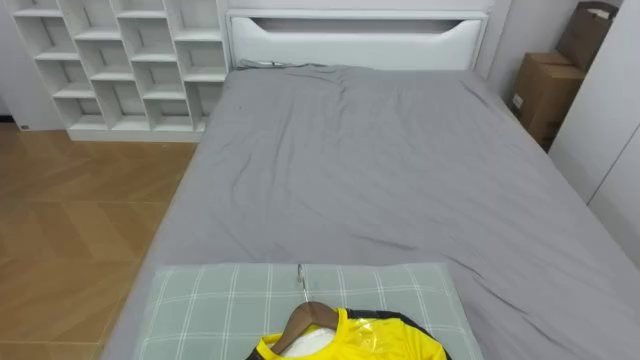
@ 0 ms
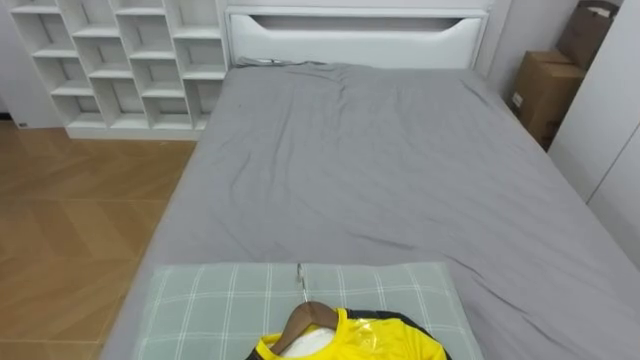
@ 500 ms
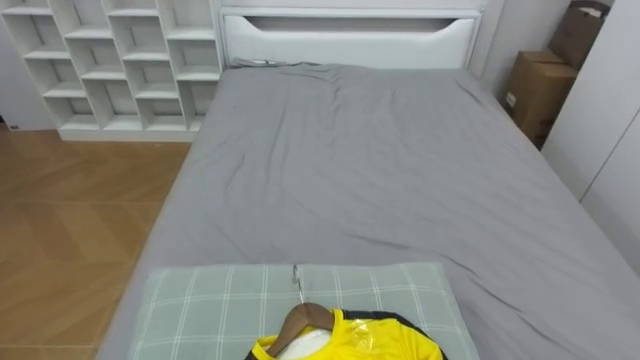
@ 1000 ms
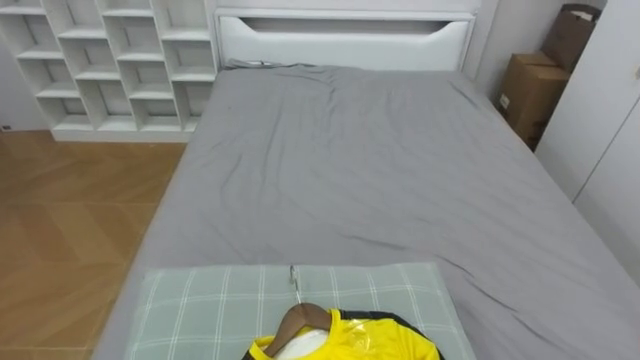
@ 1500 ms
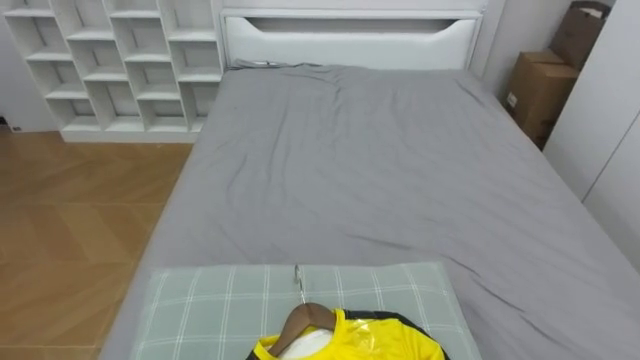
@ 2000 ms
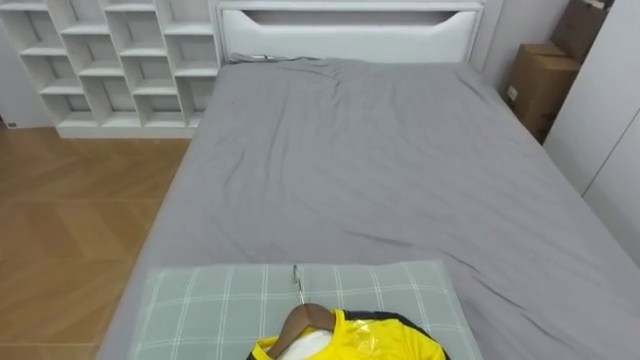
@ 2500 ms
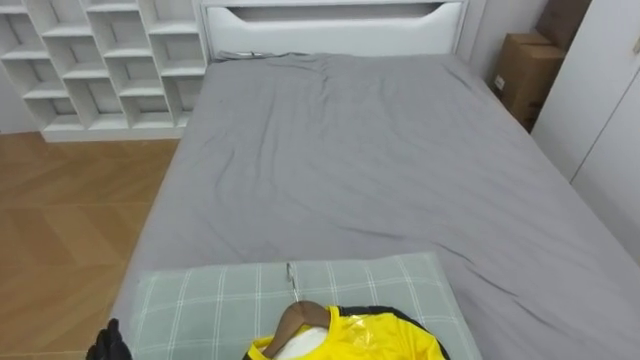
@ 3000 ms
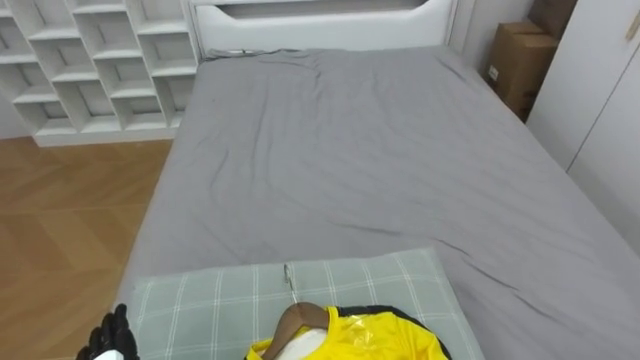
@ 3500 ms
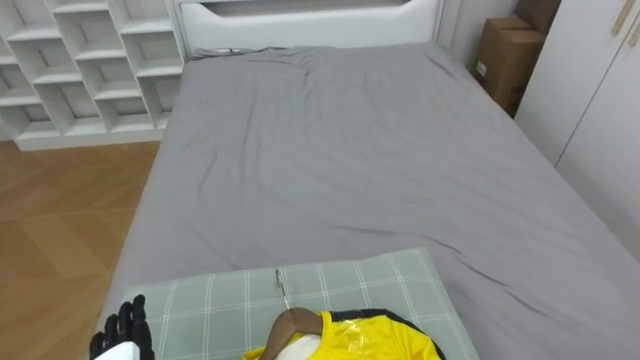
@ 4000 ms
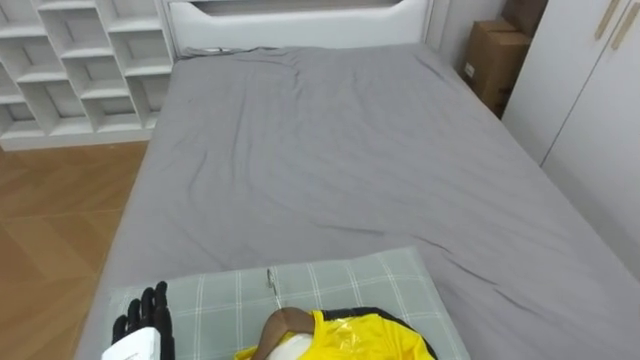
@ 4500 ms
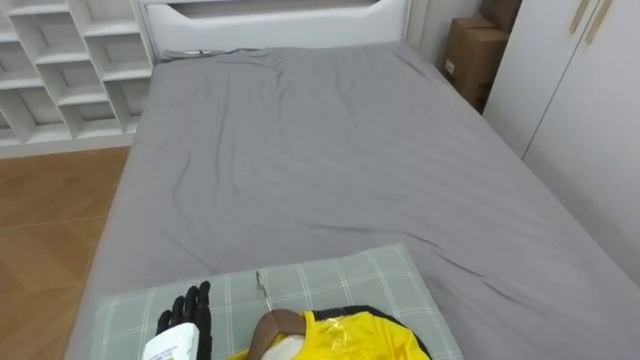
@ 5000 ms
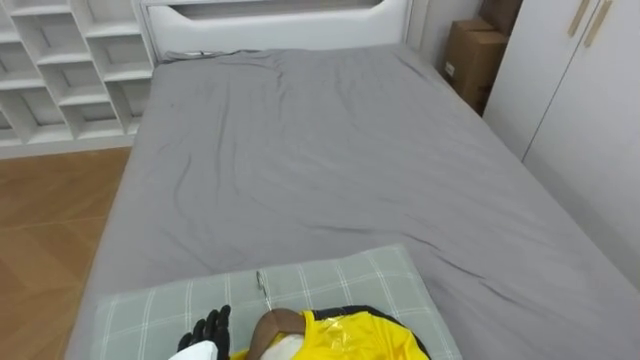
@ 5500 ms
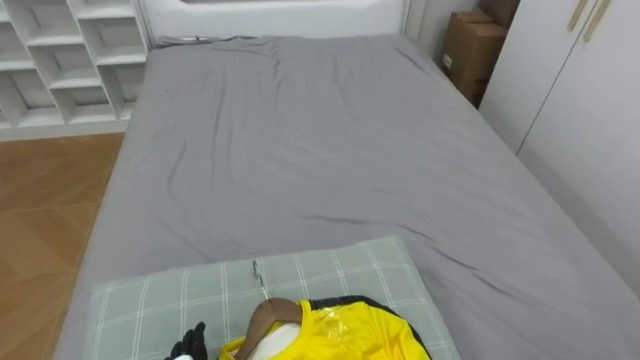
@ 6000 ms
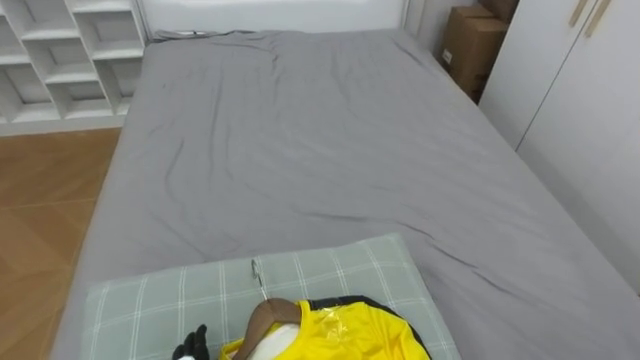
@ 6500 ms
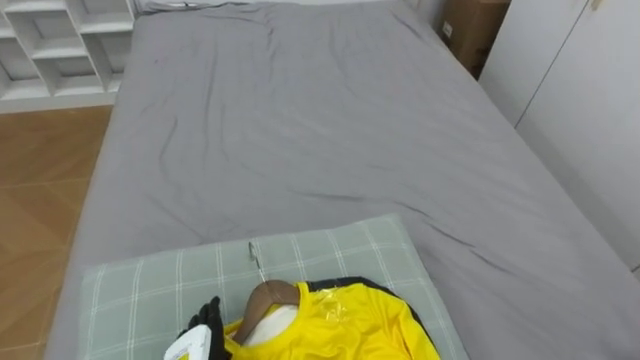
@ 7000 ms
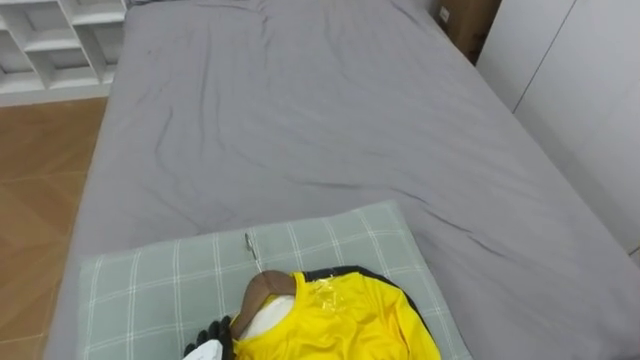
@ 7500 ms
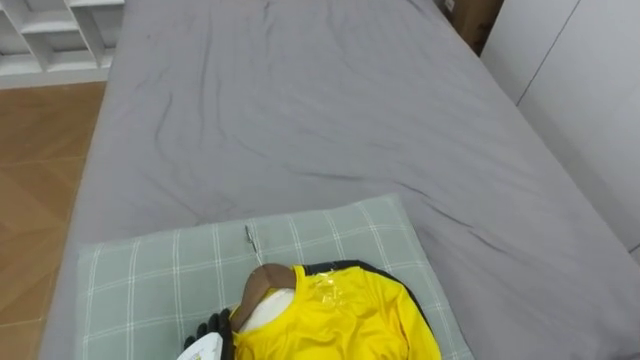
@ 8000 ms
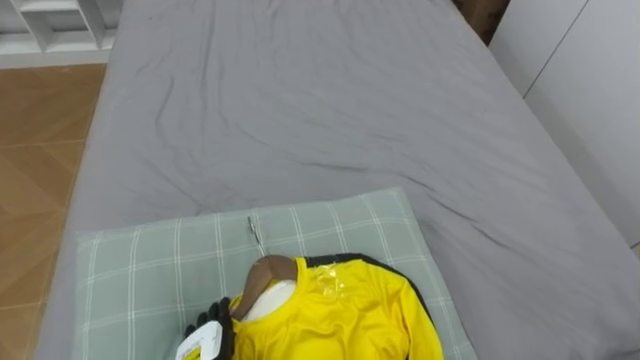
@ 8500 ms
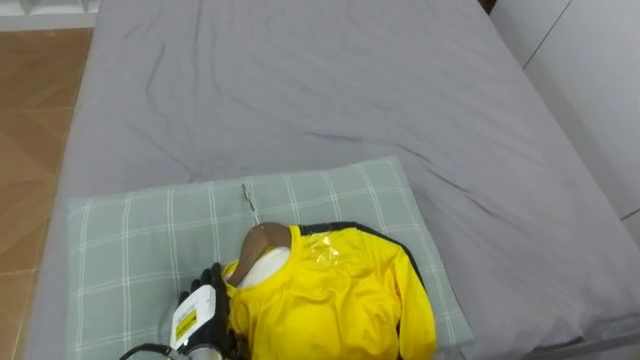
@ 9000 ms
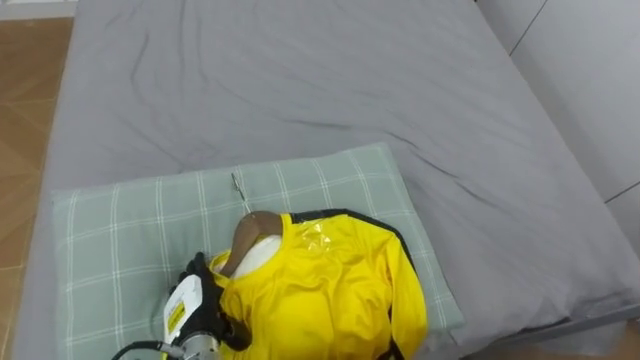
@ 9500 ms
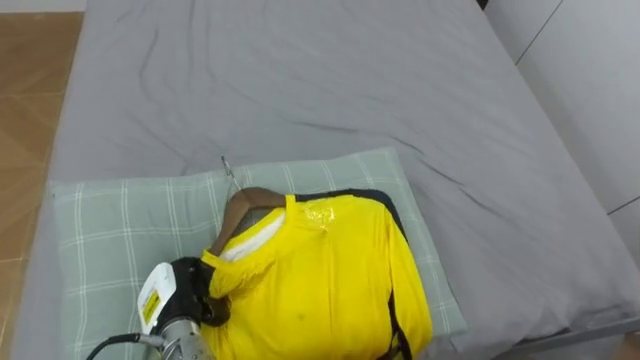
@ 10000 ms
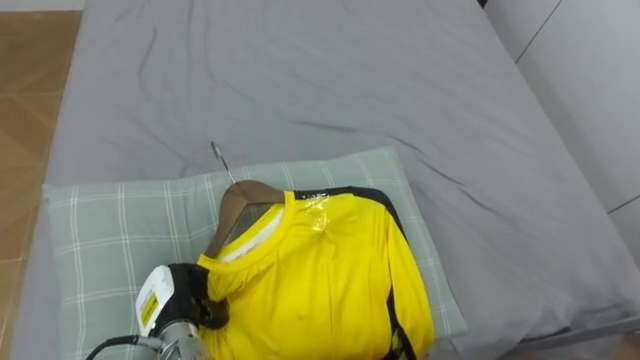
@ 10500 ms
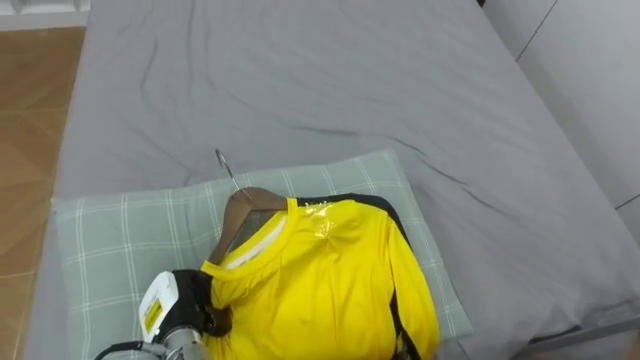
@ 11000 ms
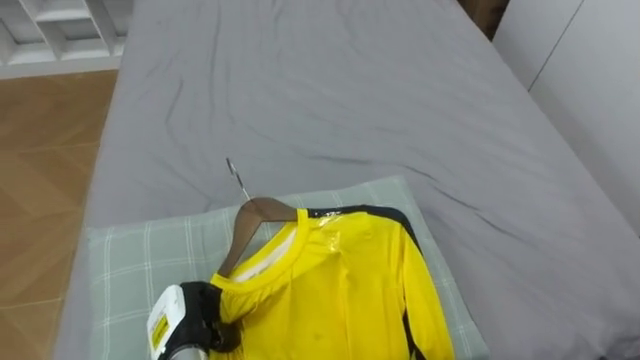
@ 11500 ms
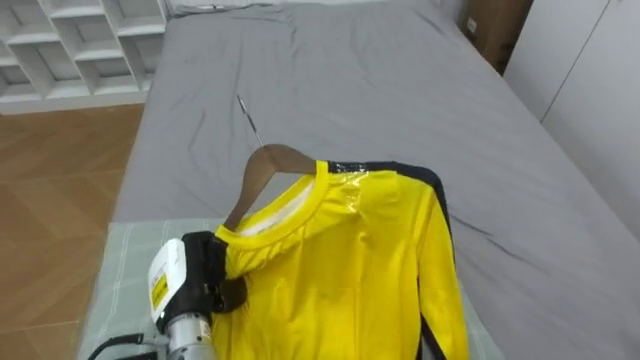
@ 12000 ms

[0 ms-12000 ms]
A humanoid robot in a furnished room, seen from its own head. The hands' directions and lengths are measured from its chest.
Task of the whole recording: Pick up the yellow shirt on the bed and hang it on the clothes rack on the right.
10000 ms to 12000 ms: The left hand heads upward, covering approximately 5 cm.

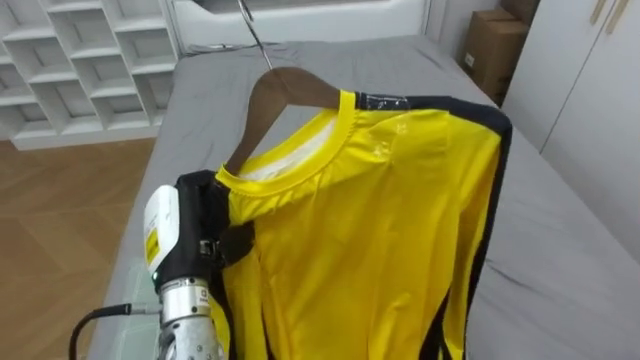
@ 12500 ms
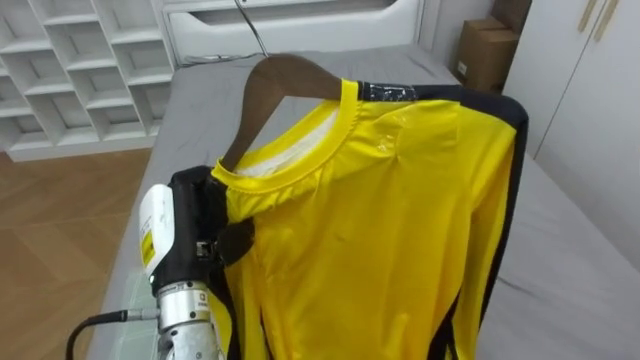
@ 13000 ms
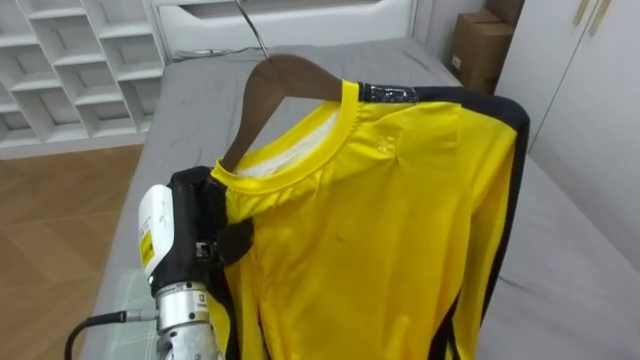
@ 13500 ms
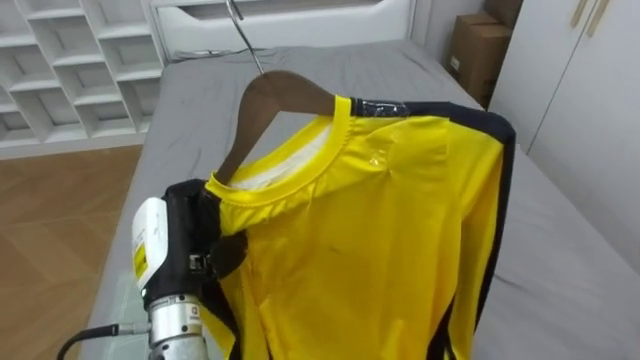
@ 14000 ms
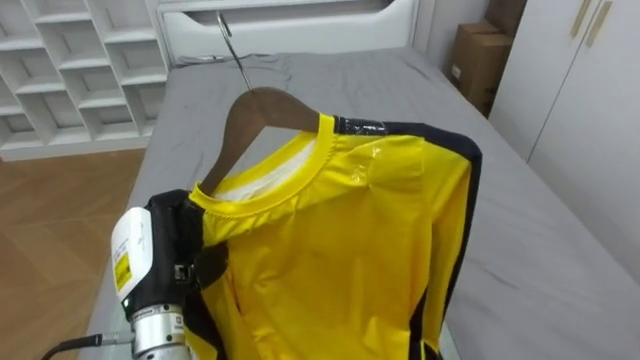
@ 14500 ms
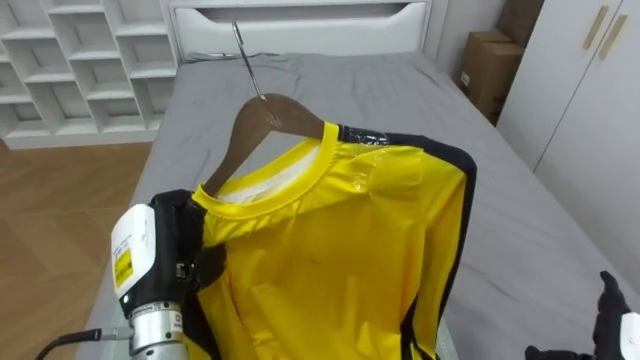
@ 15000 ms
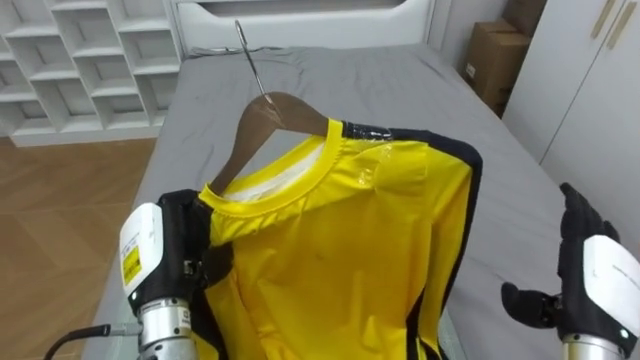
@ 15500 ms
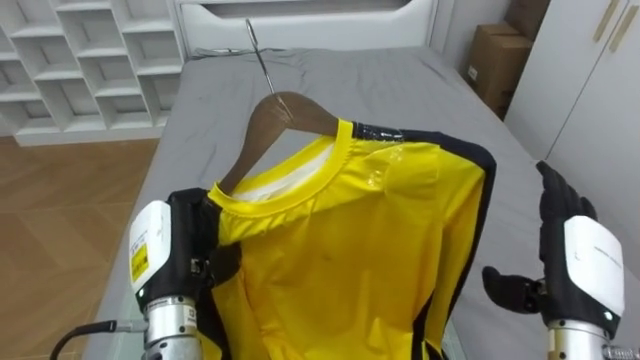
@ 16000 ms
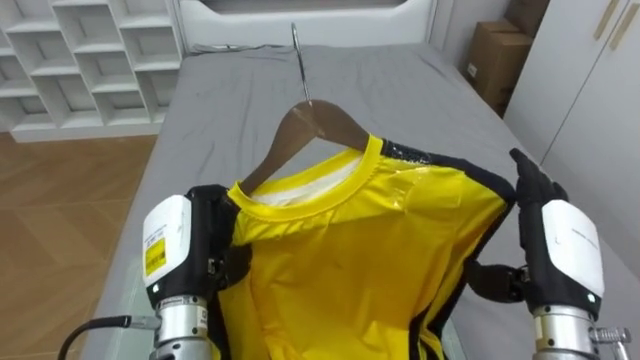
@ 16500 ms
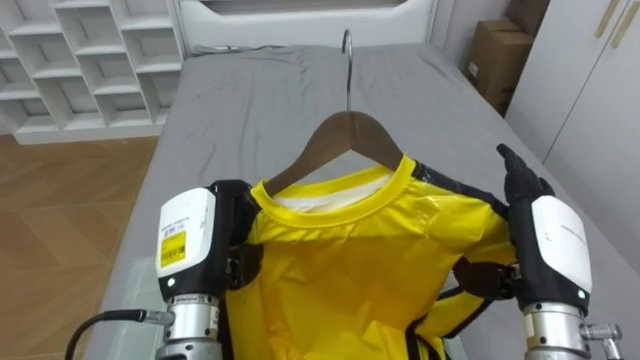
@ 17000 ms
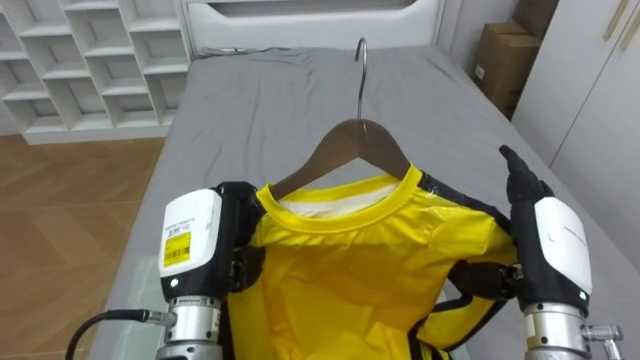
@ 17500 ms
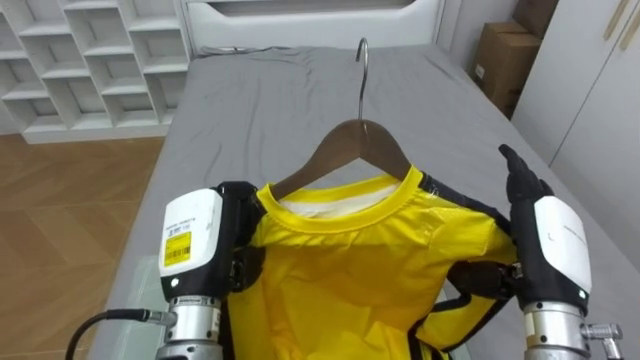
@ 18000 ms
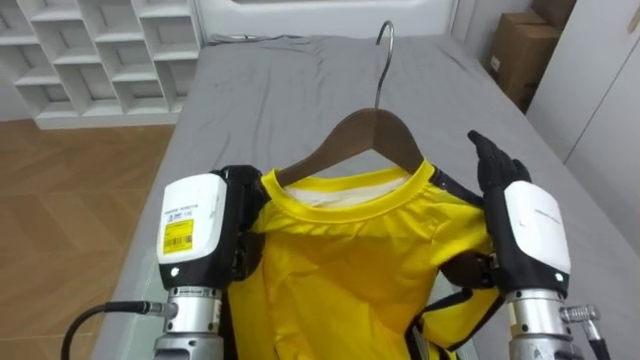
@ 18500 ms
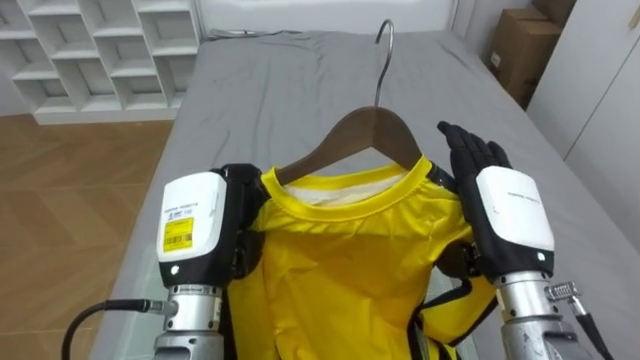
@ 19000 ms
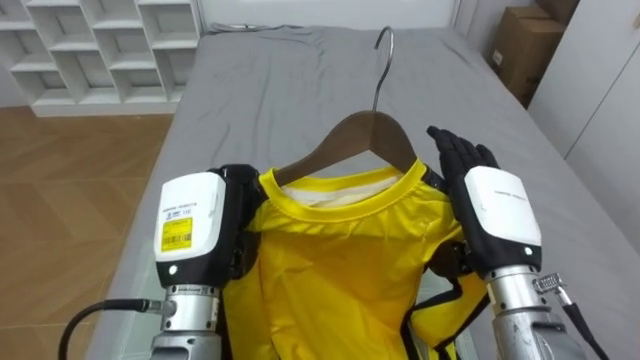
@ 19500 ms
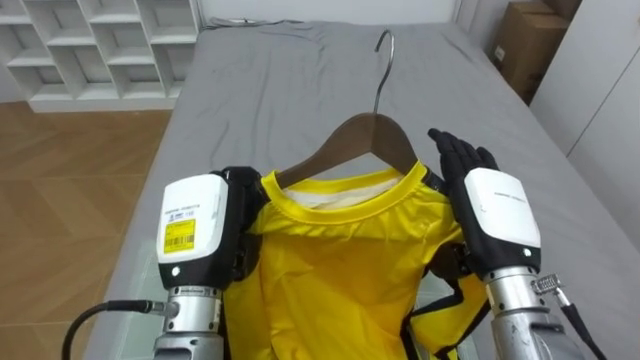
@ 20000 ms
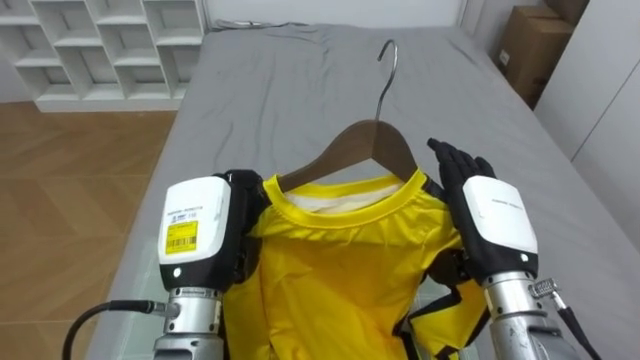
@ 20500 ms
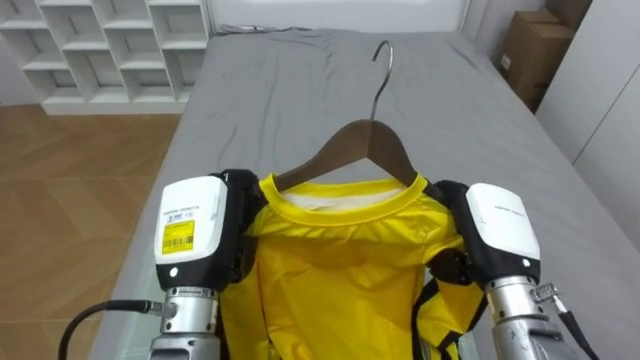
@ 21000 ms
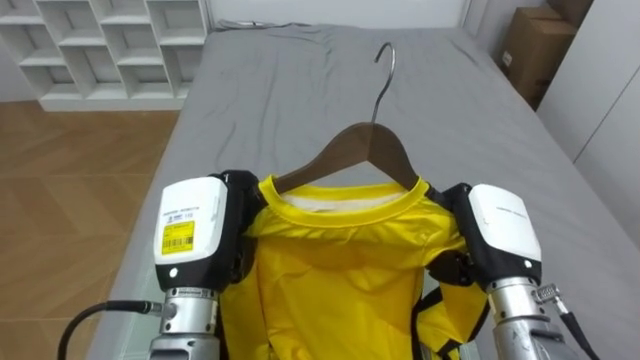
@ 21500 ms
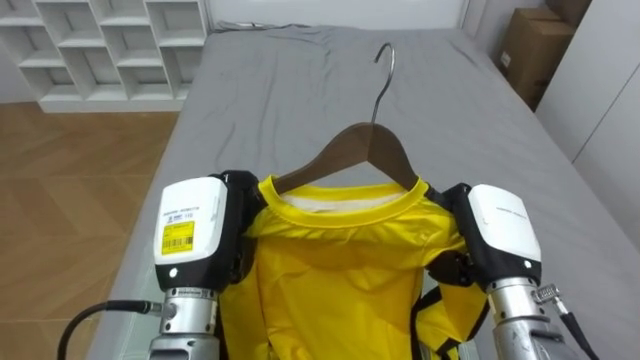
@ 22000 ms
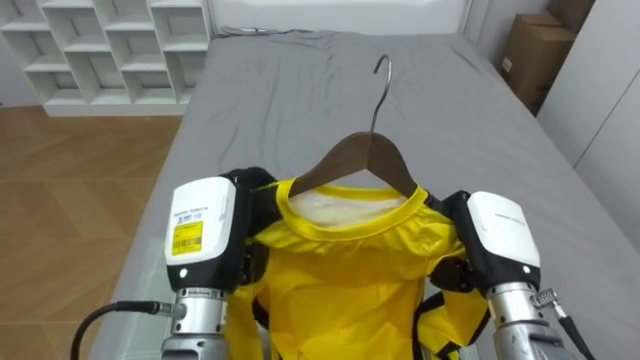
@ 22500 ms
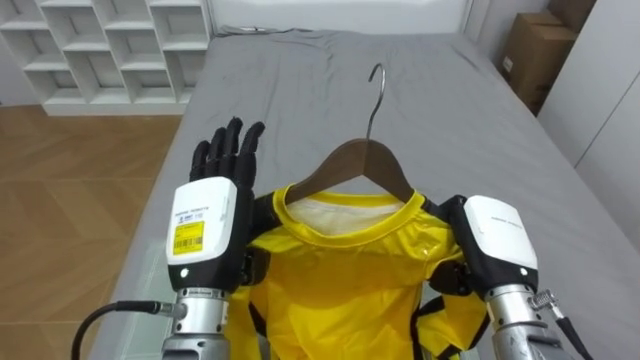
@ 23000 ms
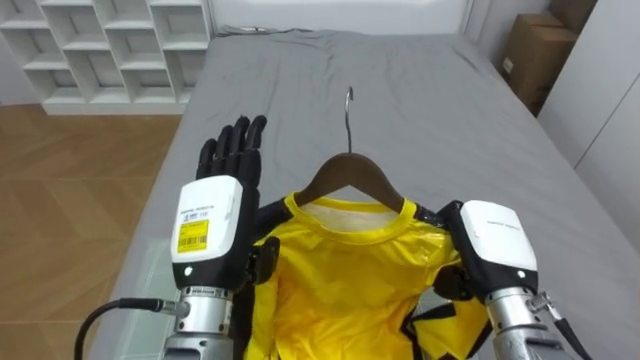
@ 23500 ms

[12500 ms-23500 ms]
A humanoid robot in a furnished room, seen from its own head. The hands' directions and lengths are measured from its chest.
Task of the whole recording: Pick up the yellow shirt on the bed and hang it on the clothes rack on the right.
18000 ms to 20000 ms: The right hand goes roughly 5 cm to the left.
20000 ms to 21500 ms: The right hand closes up.
21500 ms to 23500 ms: The left hand opens its fingers.
